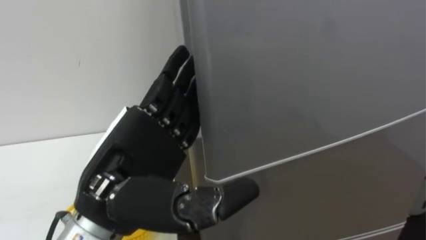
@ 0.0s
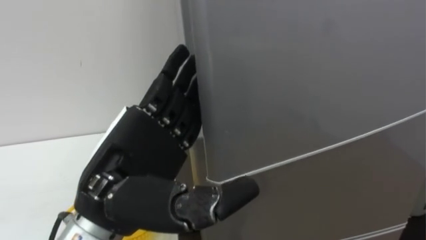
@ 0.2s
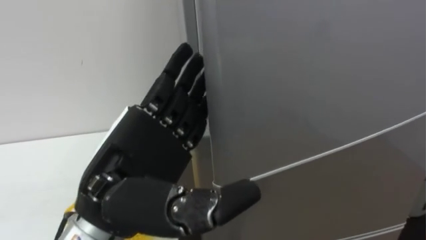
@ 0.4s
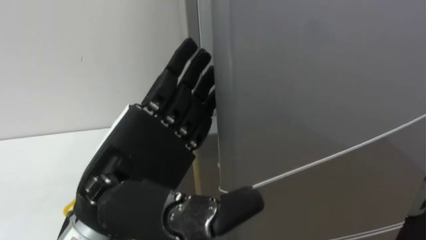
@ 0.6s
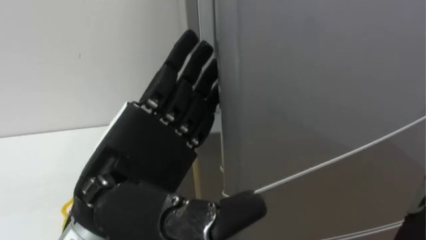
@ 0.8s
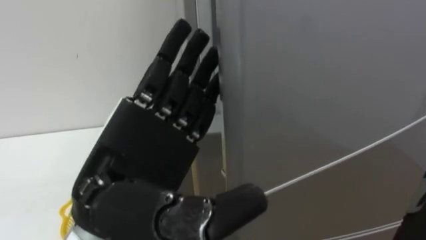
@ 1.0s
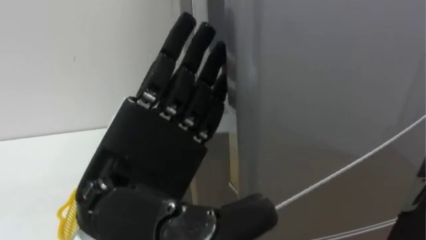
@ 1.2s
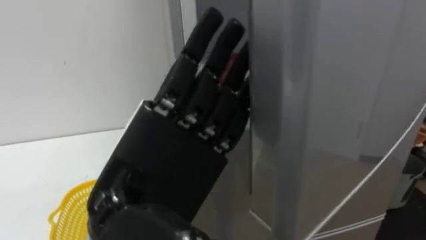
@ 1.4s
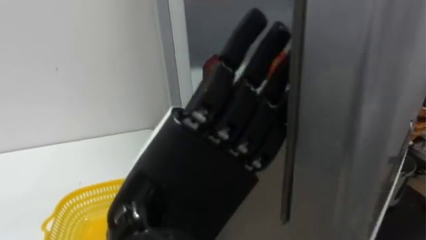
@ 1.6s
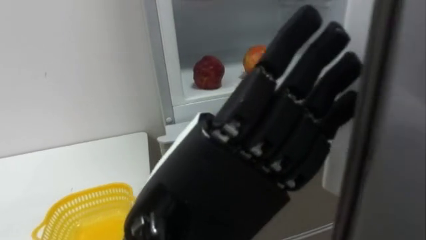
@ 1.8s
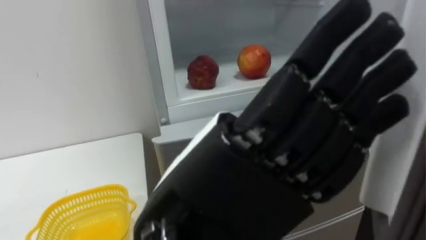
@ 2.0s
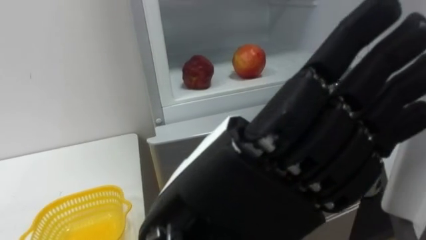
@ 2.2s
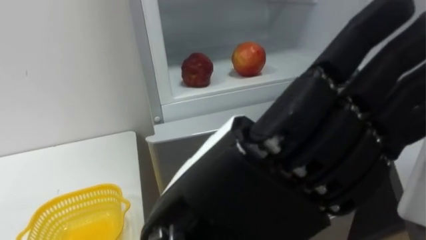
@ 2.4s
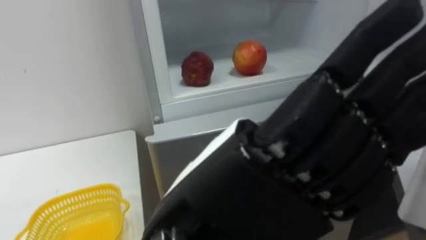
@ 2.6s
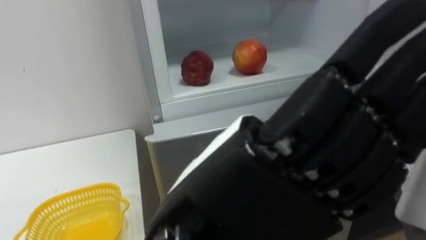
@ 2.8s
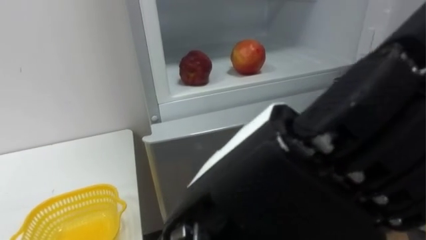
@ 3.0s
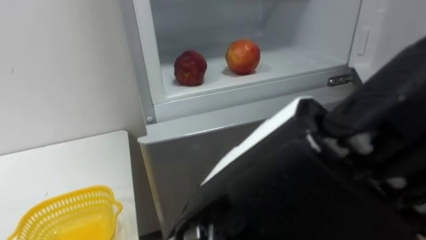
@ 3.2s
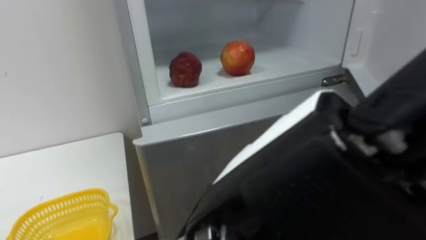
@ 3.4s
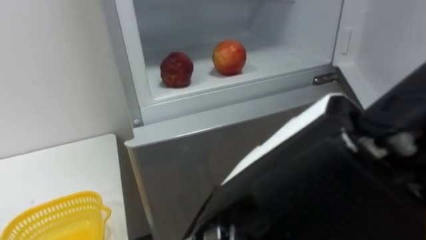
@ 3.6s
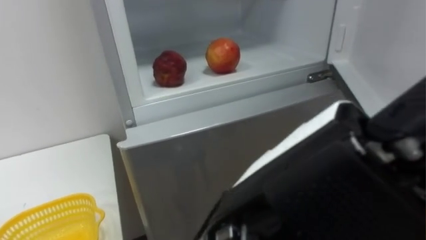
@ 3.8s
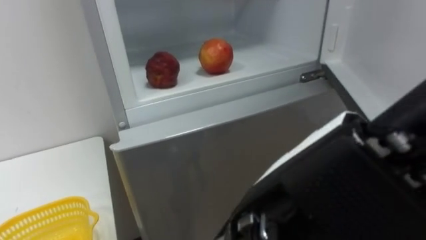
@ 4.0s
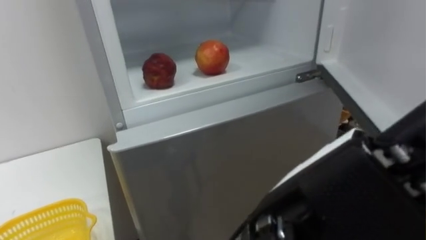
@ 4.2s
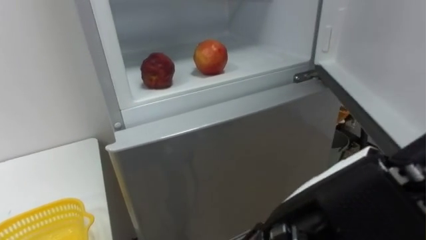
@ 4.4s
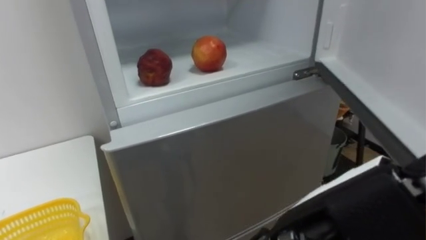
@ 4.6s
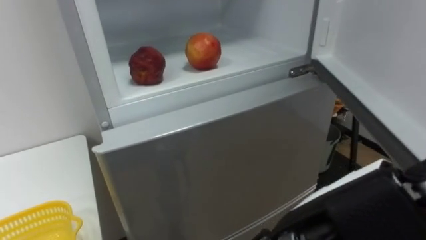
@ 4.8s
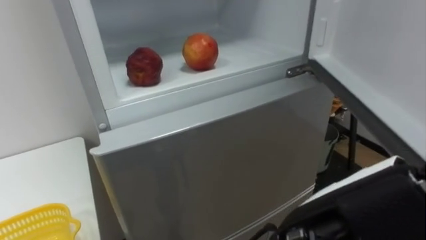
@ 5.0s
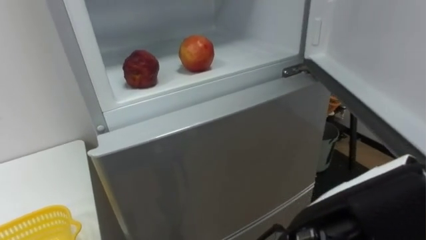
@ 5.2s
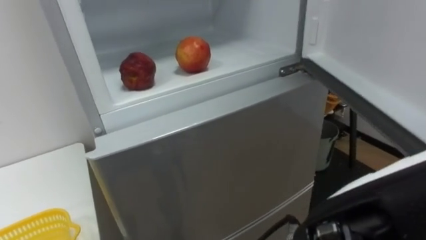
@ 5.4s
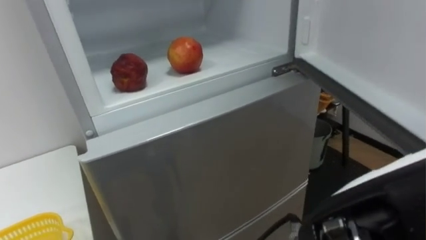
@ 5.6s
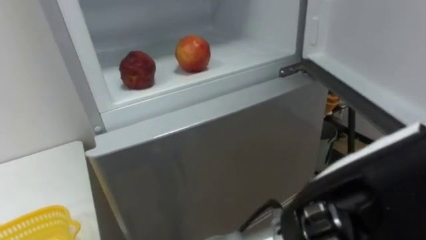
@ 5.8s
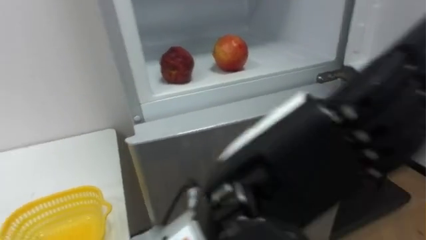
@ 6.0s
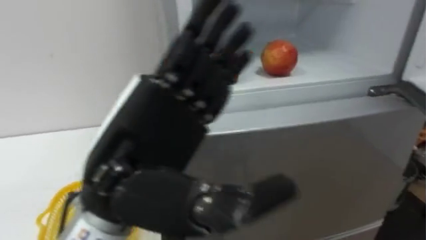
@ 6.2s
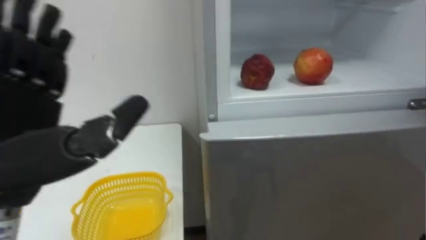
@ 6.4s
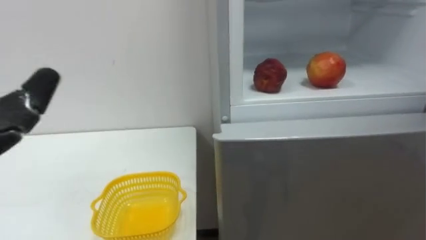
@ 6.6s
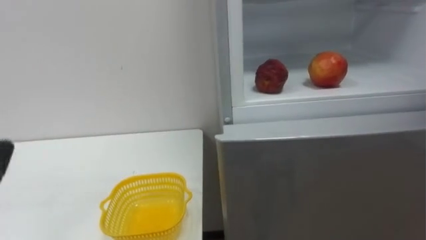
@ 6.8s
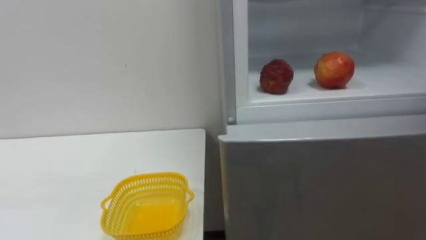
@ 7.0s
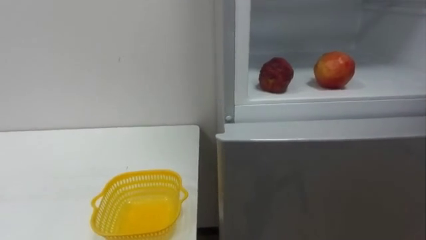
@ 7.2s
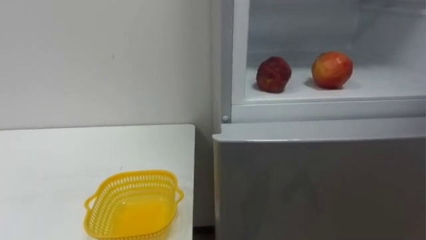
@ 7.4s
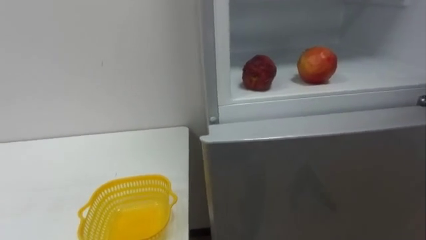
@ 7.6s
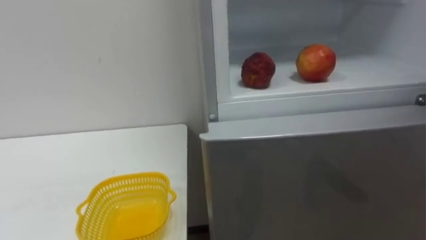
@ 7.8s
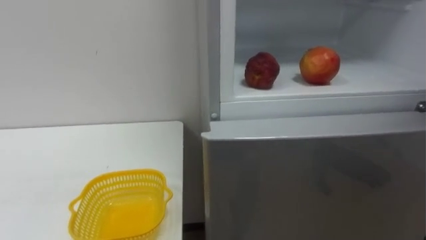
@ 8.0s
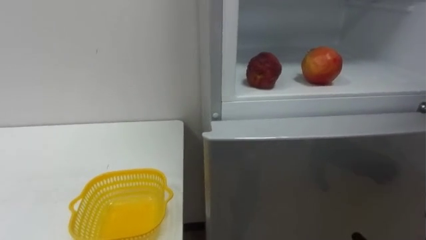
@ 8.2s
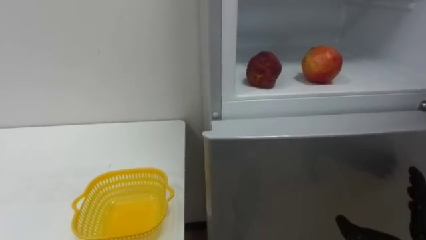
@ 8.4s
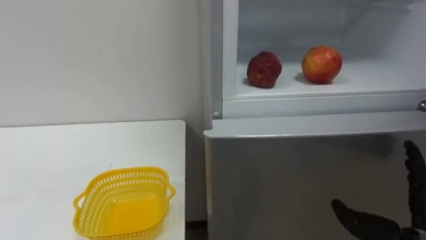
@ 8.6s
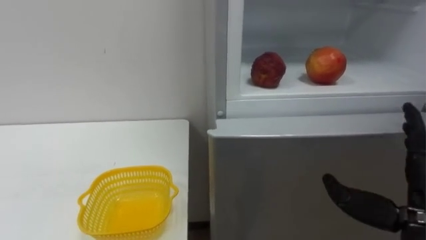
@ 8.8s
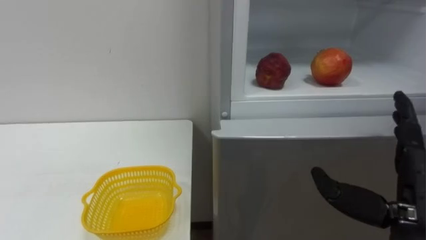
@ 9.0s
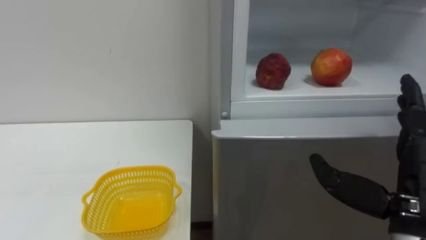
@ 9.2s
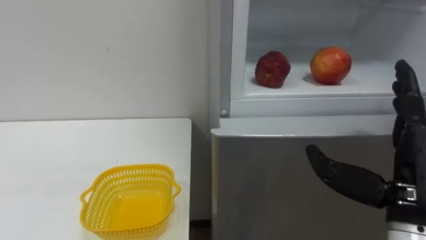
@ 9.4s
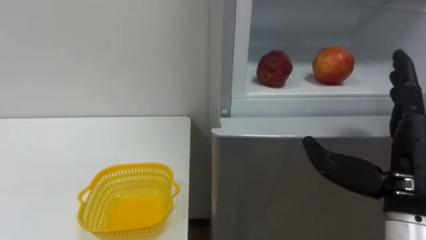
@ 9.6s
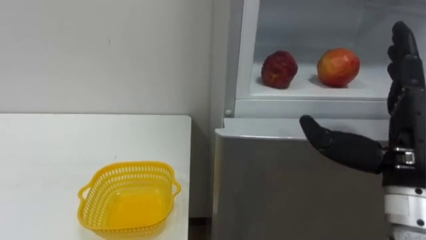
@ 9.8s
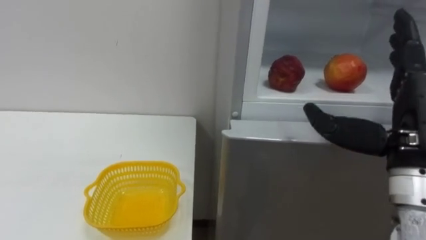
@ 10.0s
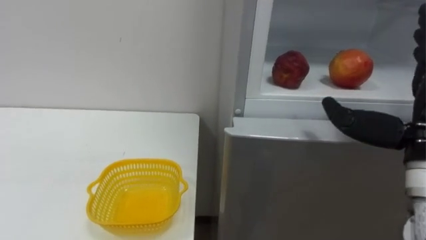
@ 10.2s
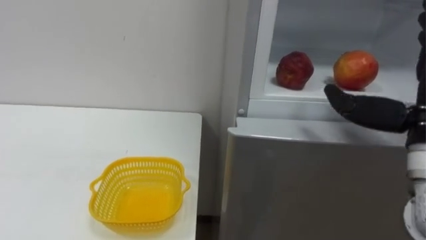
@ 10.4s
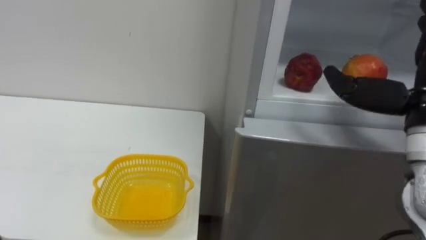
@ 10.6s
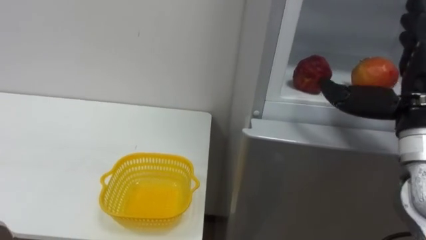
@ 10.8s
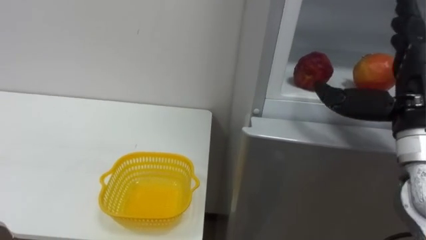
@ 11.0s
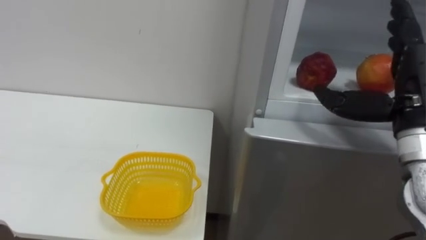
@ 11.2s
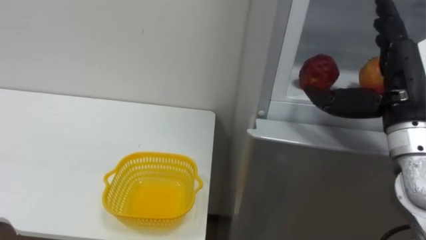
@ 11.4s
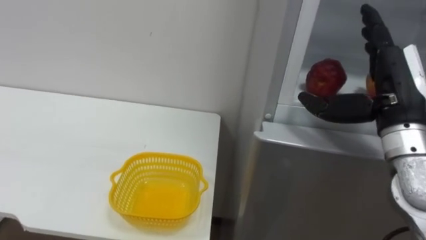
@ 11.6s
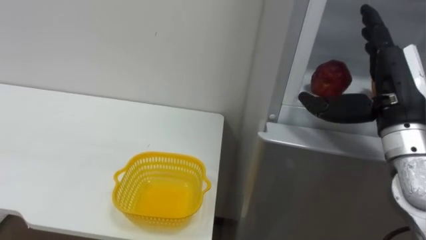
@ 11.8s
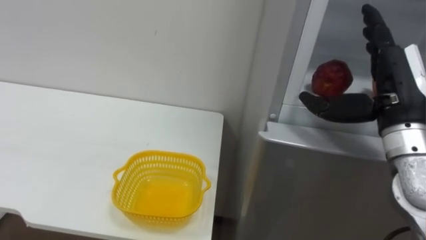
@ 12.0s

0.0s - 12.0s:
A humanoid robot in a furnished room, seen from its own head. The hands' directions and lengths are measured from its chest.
Task of the whole recording: Open the refrigerator door, take out the apple and the pomegranate, place them in the fruit basket on the left, and close the refrigerator door.
0.0s - 1.6s: The left hand travels backward by about 5 cm.
1.6s - 3.0s: The left hand ends up roughly 5 cm from where it was.
3.0s - 4.4s: The left hand is displaced to the right by roughly 5 cm.
4.4s - 6.0s: The left hand ends up some 5 cm from where it was.
9.0s - 10.4s: The right hand shifts roughly 10 cm upward.
10.4s - 12.0s: The right hand travels forward by about 5 cm.

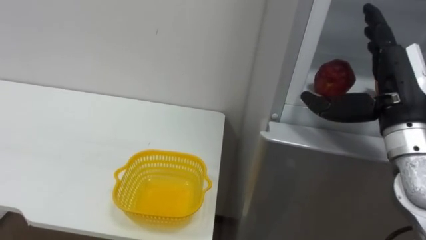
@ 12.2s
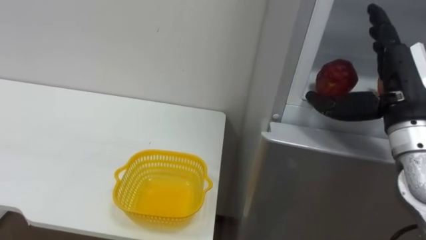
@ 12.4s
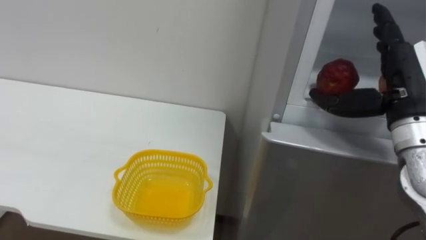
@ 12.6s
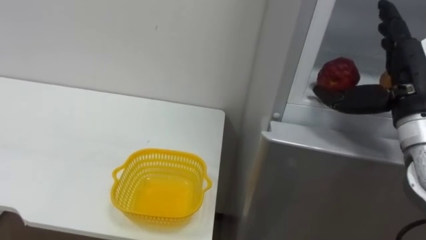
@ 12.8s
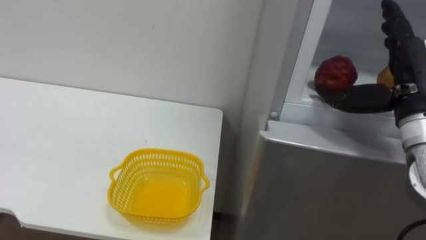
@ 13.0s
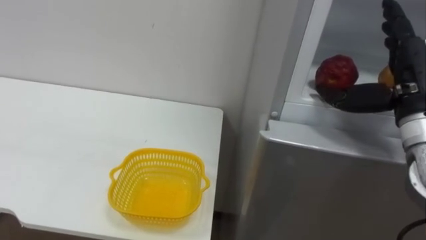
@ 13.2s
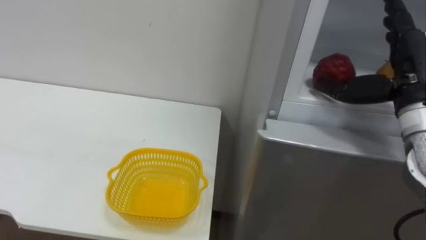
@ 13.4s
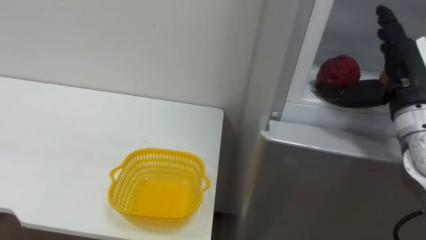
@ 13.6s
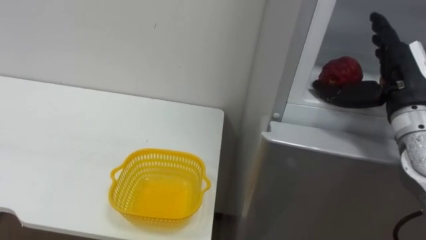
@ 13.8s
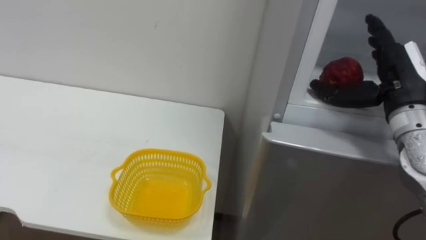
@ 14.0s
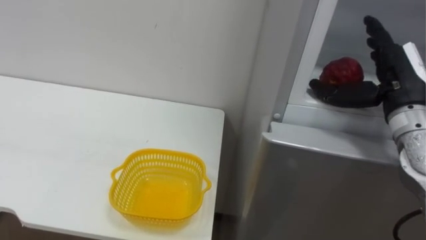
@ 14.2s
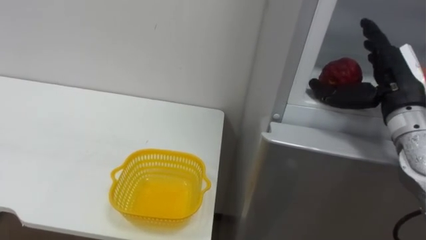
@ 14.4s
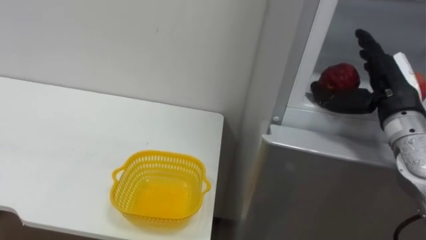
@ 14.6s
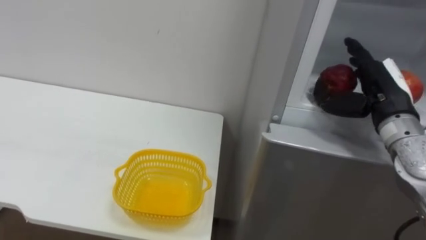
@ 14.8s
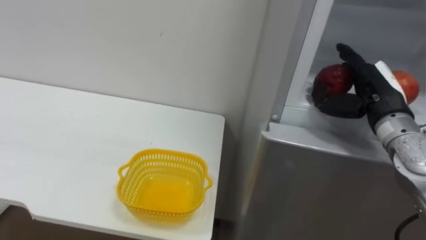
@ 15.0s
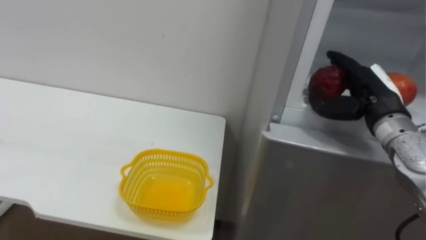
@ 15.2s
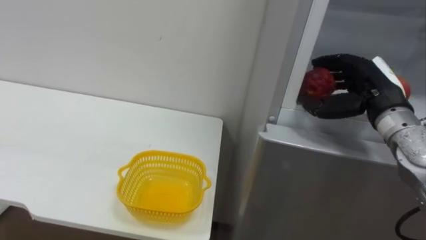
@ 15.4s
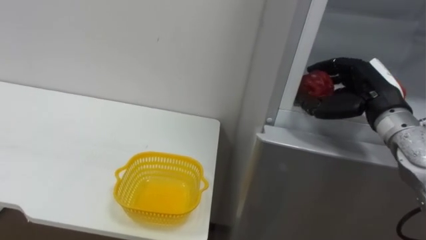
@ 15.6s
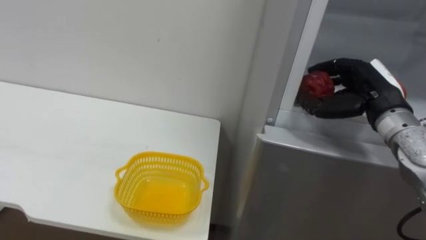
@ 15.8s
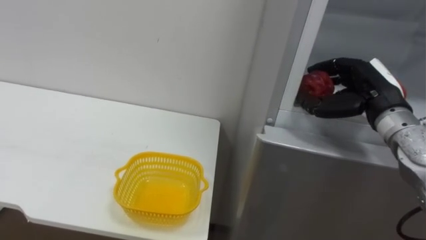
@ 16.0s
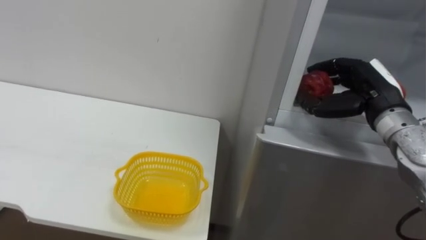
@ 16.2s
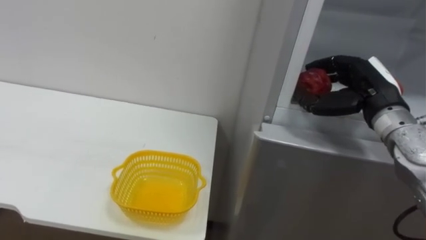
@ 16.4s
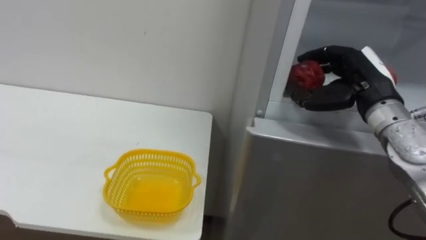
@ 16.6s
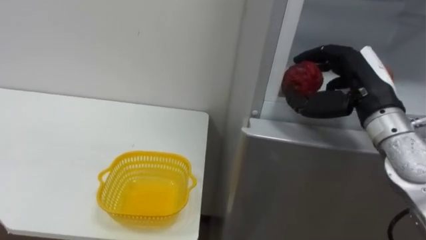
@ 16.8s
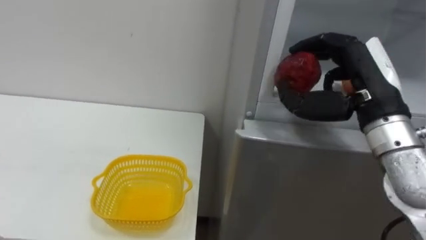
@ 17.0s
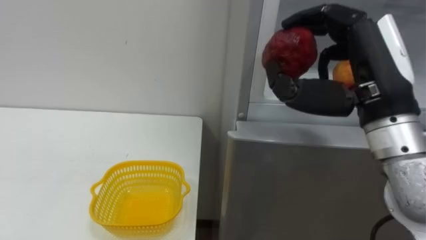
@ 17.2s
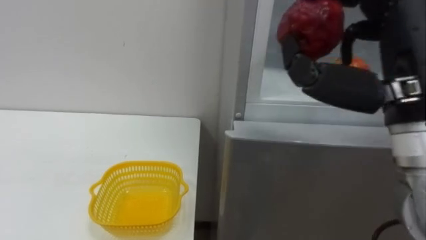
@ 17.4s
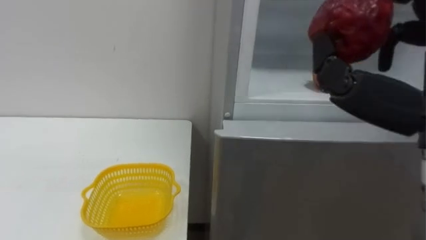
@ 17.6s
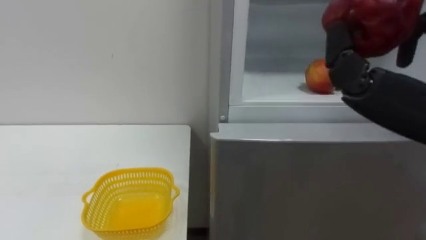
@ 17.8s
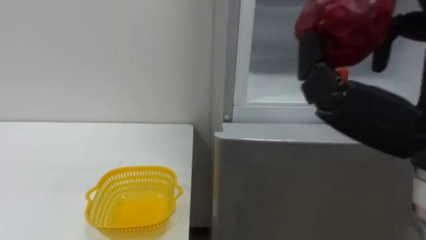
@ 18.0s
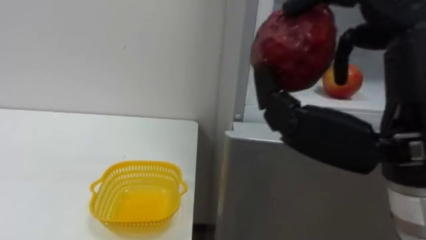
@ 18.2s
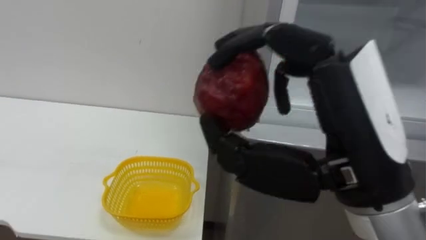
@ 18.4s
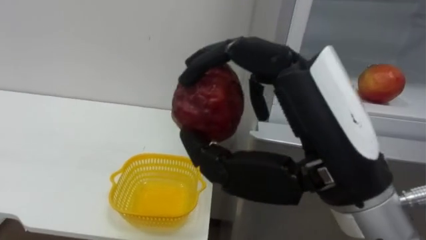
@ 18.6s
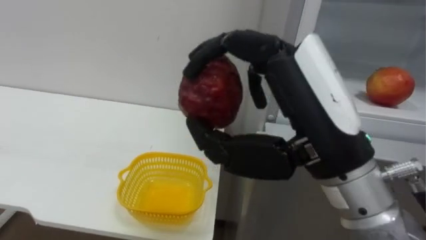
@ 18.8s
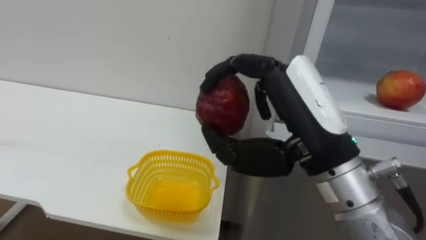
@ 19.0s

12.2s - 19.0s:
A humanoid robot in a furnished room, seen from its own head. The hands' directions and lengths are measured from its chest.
Task of the whole recording: Open the refrigerator door, take out the apple and the pomegranate, place them in the fruit basket on the left, and close the refrigerator door.
13.6s - 15.0s: The right hand changes place by about 5 cm.
15.0s - 16.2s: The right hand closes up.
